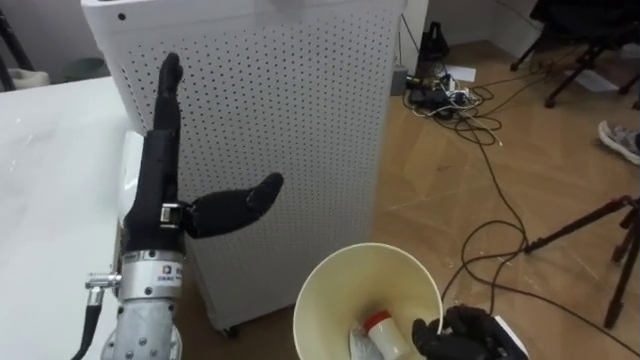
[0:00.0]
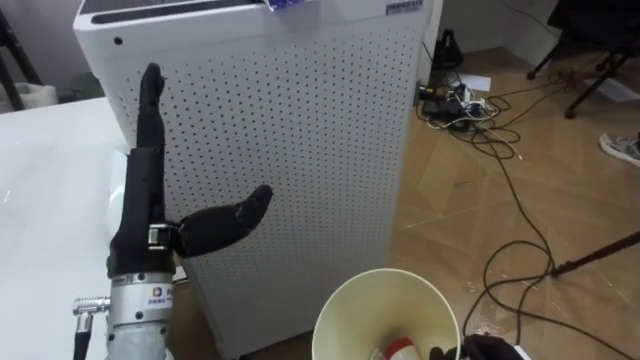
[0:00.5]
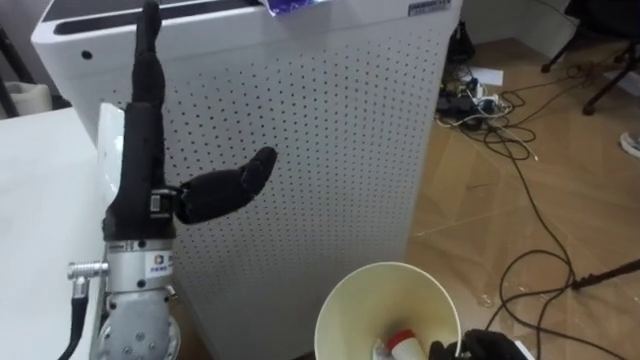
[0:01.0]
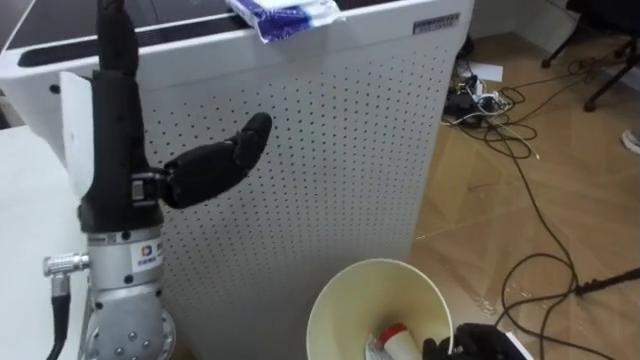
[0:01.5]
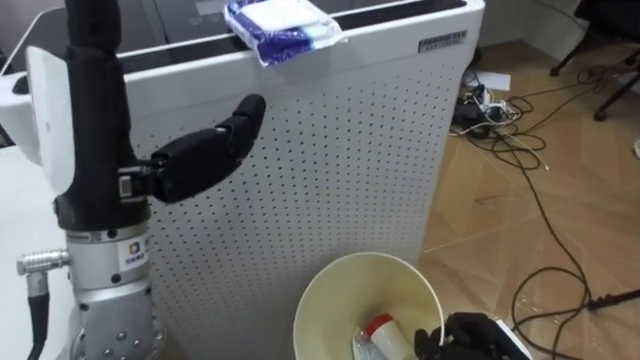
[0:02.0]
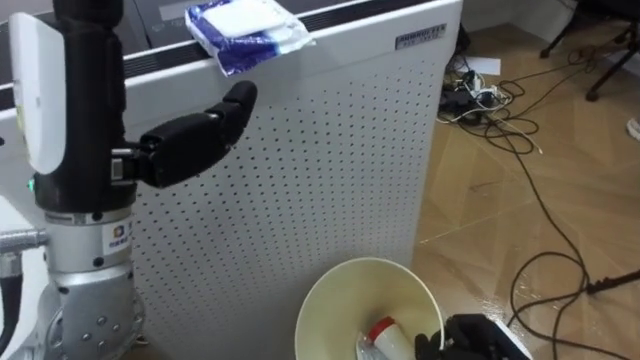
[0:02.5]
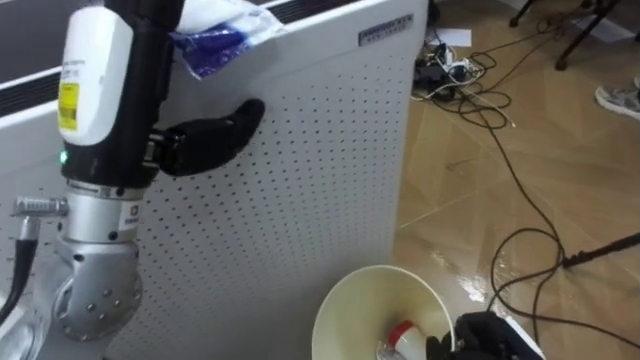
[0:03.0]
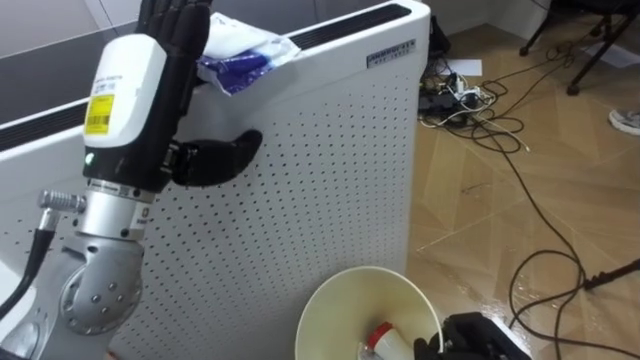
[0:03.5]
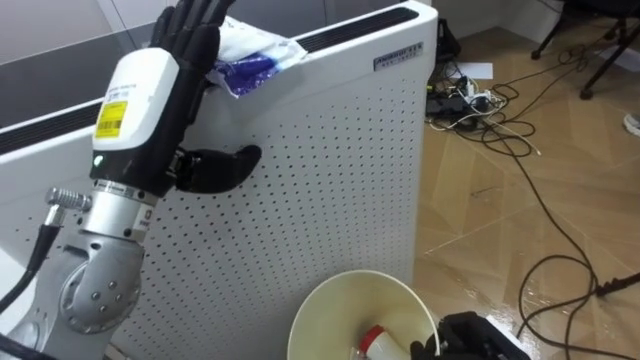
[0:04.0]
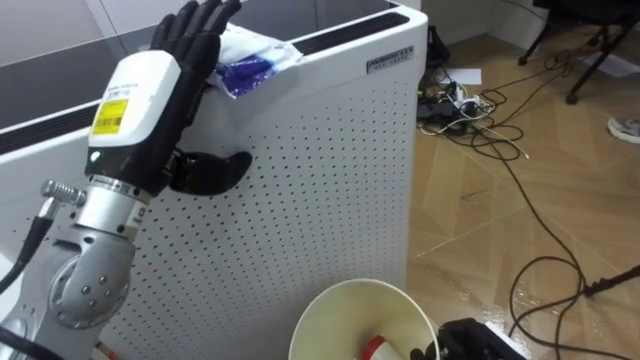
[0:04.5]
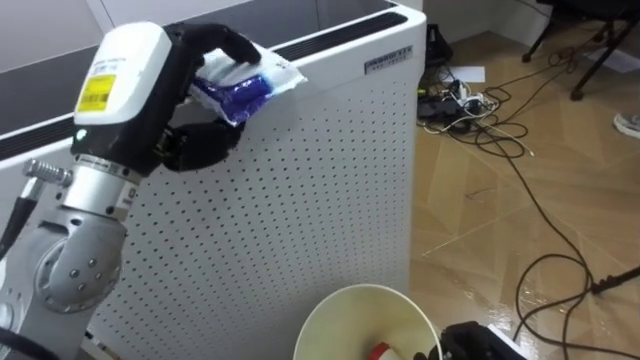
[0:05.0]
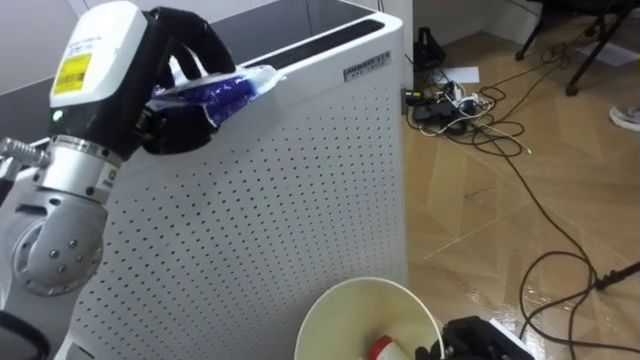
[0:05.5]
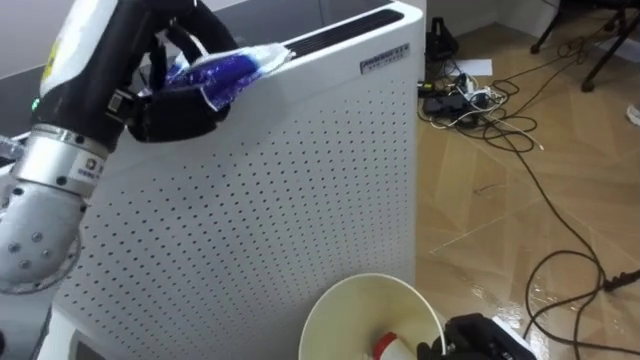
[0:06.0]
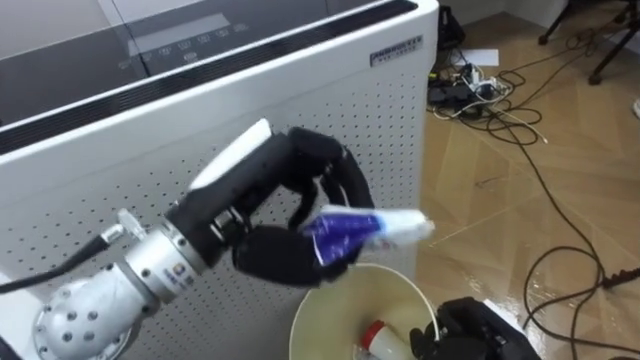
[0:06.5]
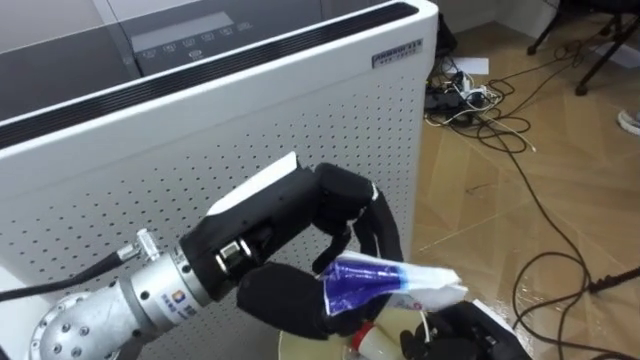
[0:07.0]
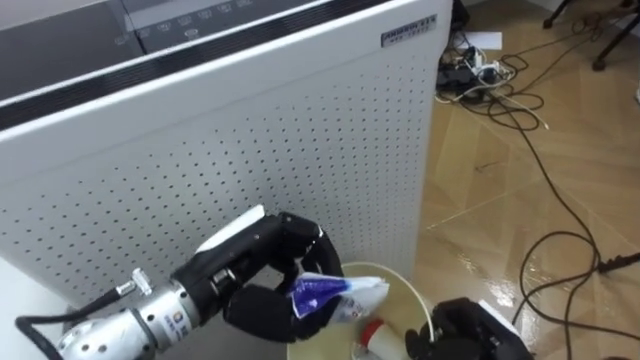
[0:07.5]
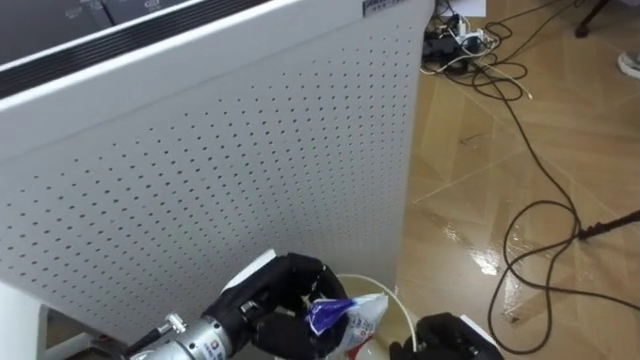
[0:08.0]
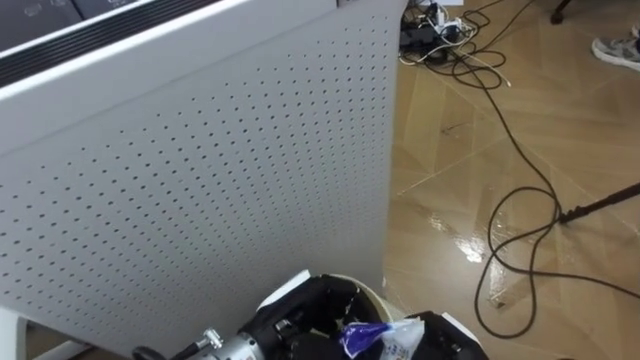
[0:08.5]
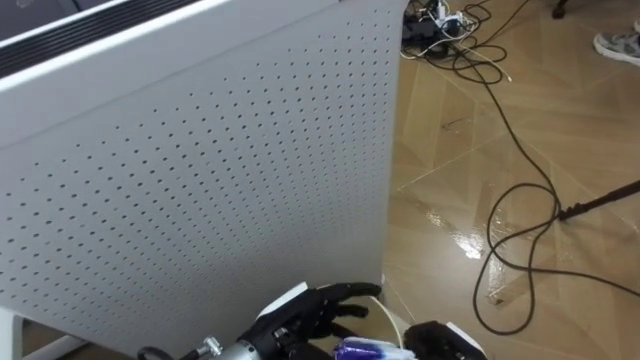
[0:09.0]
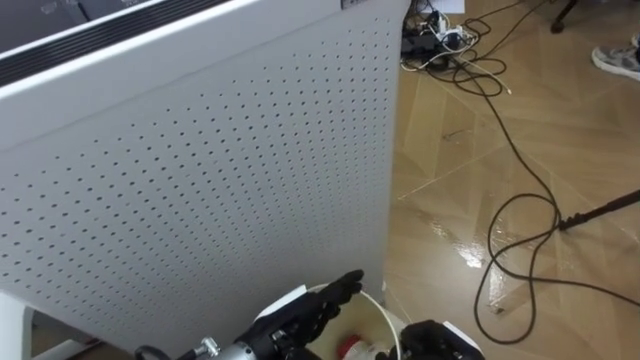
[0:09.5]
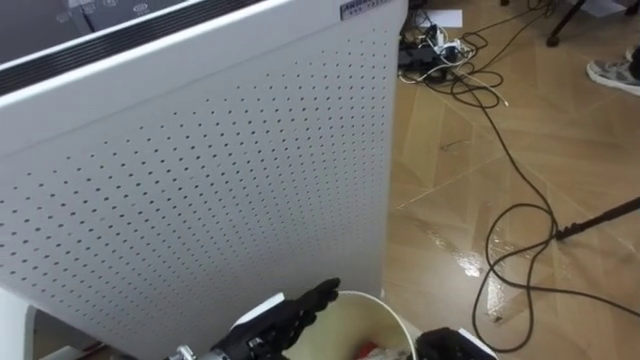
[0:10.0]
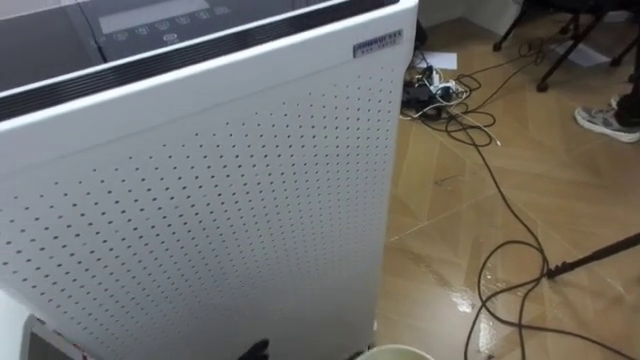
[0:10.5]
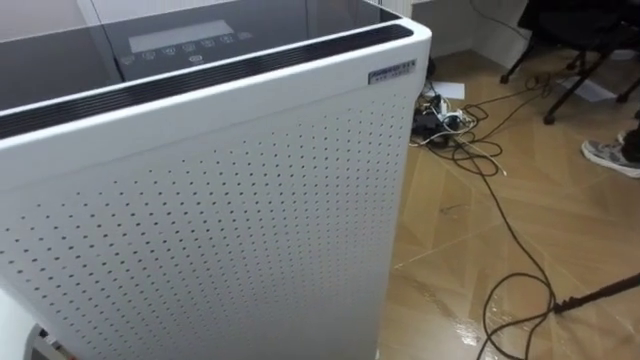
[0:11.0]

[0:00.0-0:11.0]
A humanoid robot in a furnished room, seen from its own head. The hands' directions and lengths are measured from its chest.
Task of the whole recording: Pick up the light blue package, the candy box, and the dark blue package separately, and put them into the trash can held in your right hand.
0:00.0 to 0:02.0: The left hand moves upward and backward, approximately 10 cm.
0:02.0 to 0:03.5: The left hand heads forward, covering approximately 5 cm.
0:03.5 to 0:05.5: The left hand closes its fingers.
0:05.5 to 0:07.5: The left hand is displaced downward and to the right by about 20 cm.
0:07.5 to 0:09.0: The left hand heads downward and to the right, covering about 15 cm, and opens.

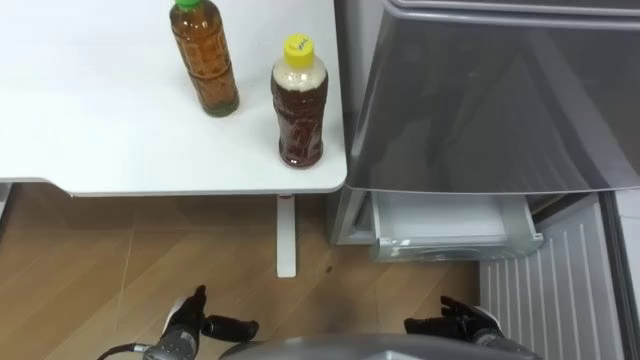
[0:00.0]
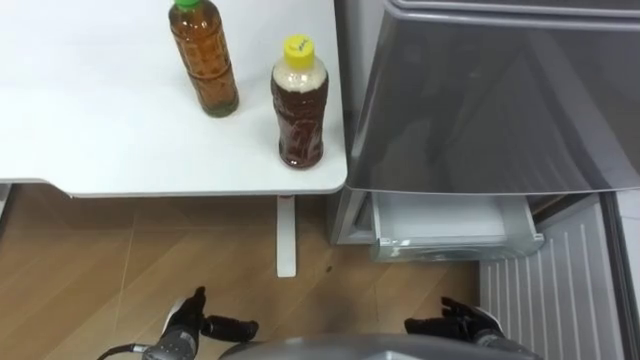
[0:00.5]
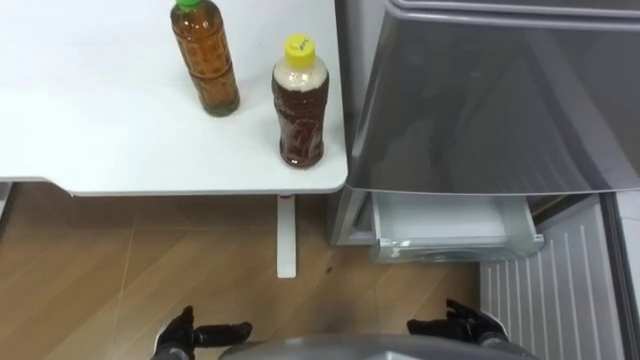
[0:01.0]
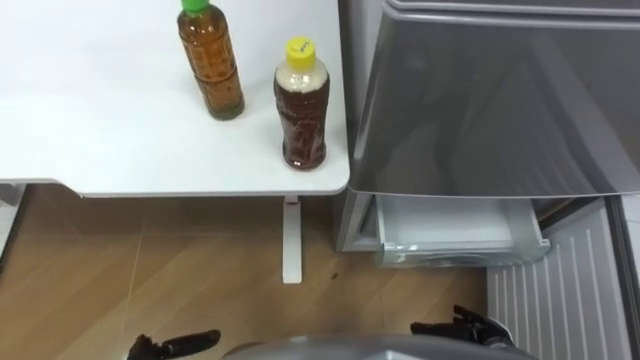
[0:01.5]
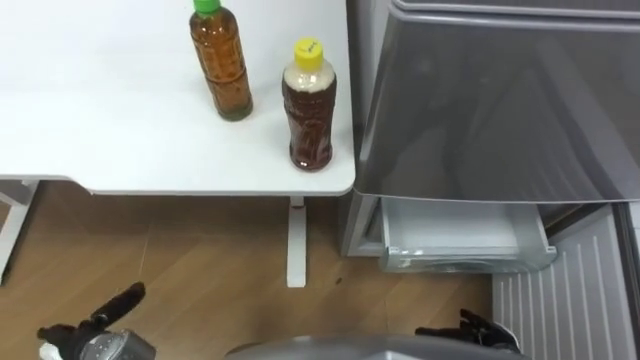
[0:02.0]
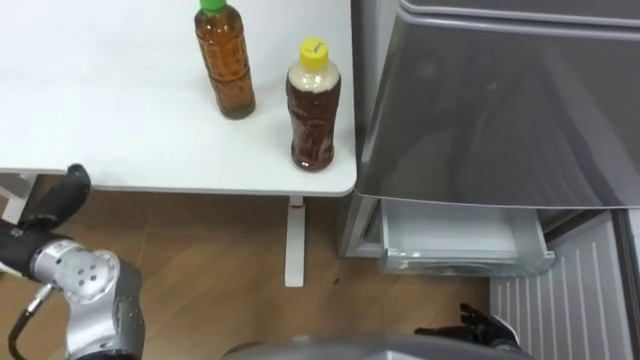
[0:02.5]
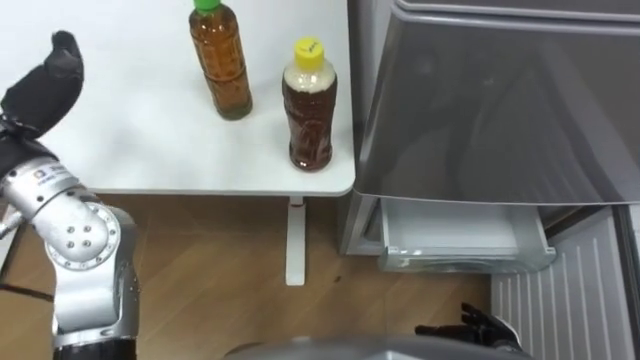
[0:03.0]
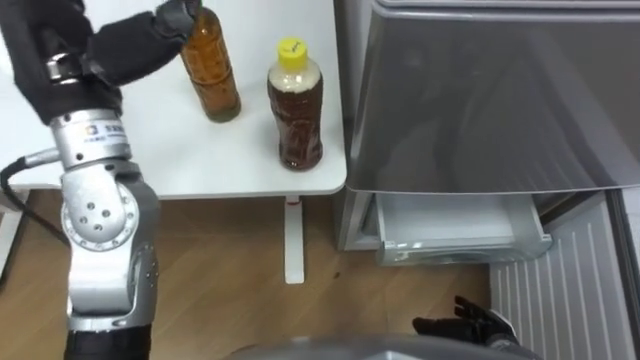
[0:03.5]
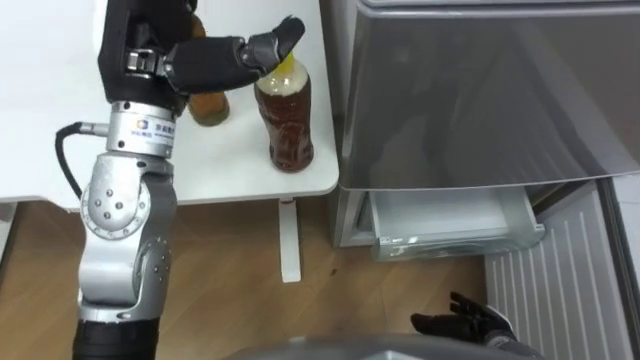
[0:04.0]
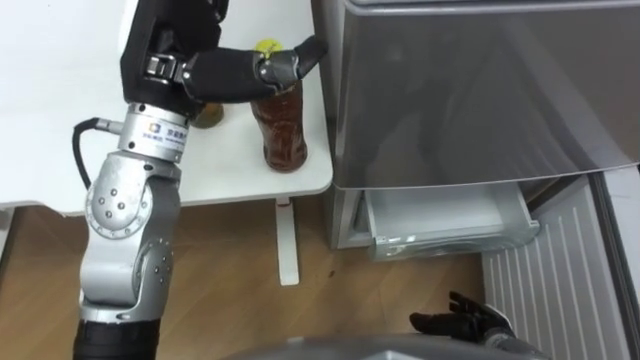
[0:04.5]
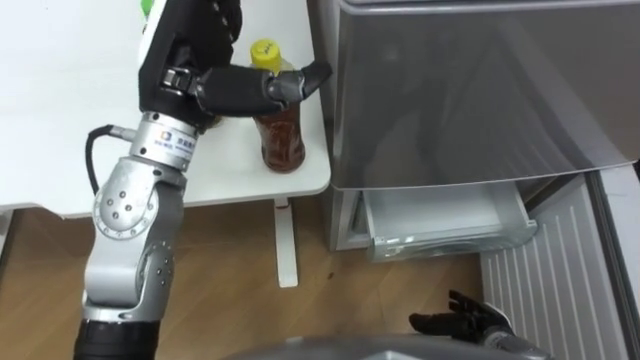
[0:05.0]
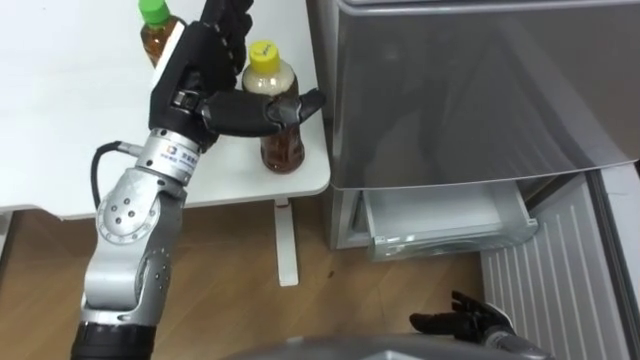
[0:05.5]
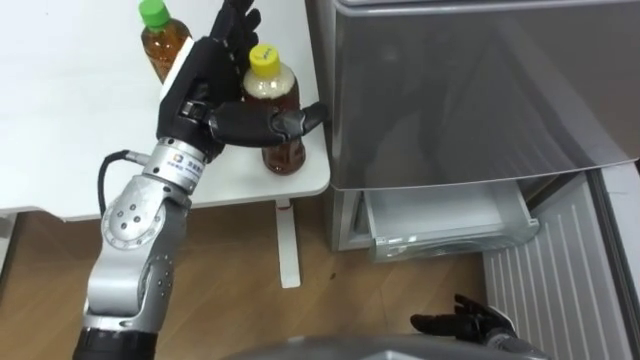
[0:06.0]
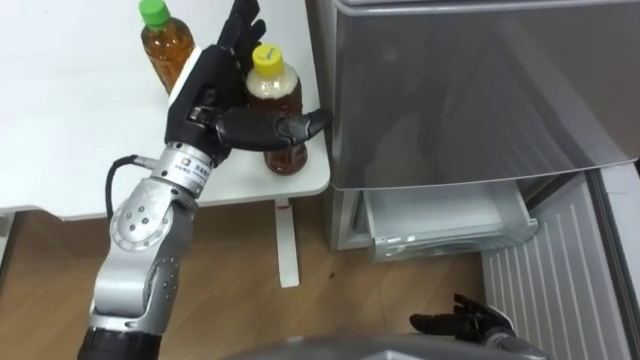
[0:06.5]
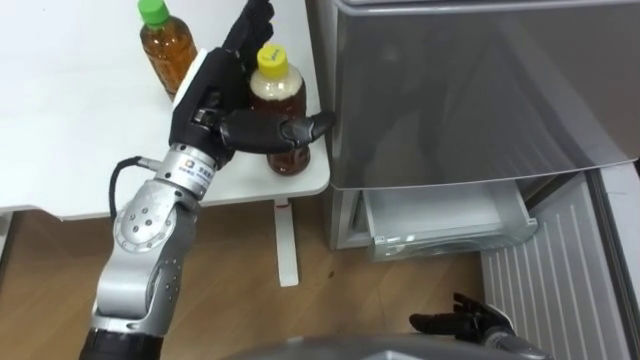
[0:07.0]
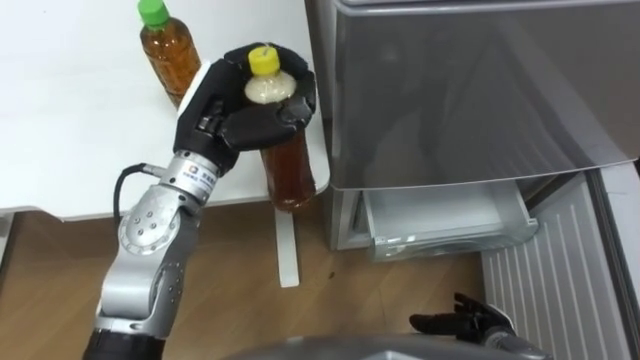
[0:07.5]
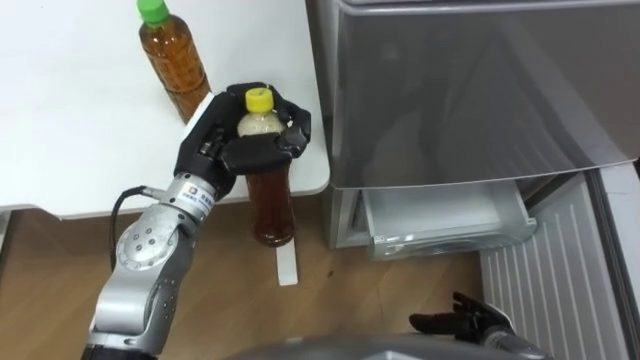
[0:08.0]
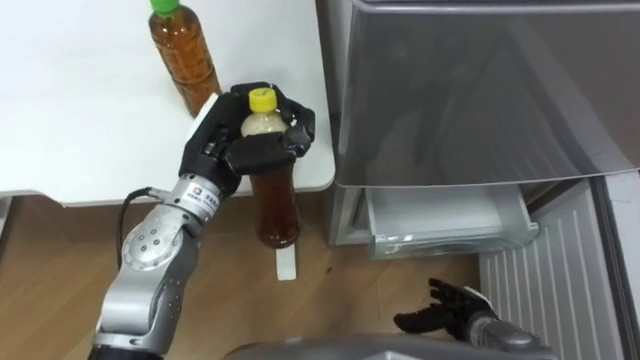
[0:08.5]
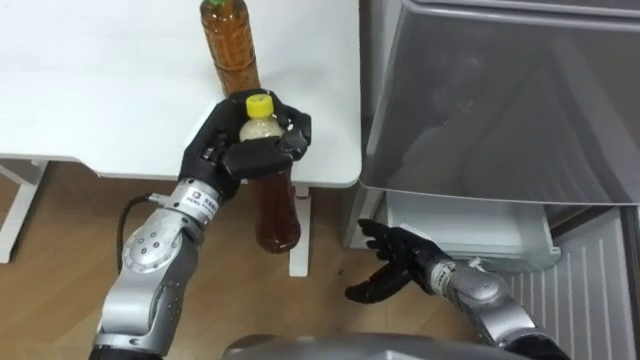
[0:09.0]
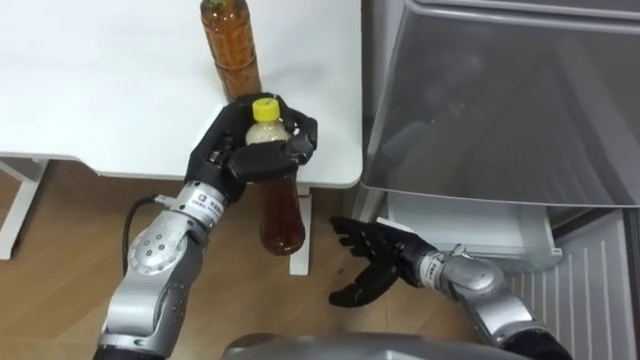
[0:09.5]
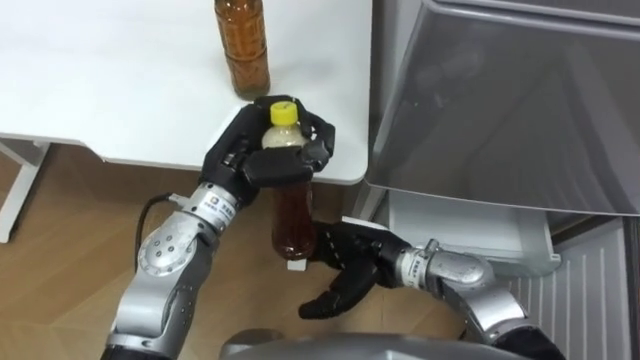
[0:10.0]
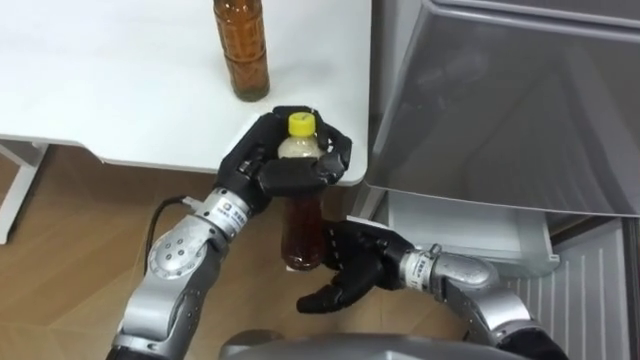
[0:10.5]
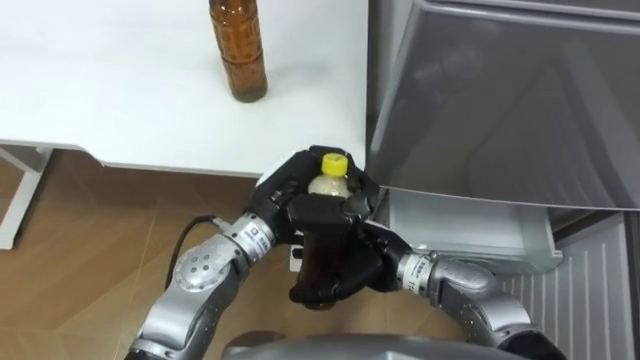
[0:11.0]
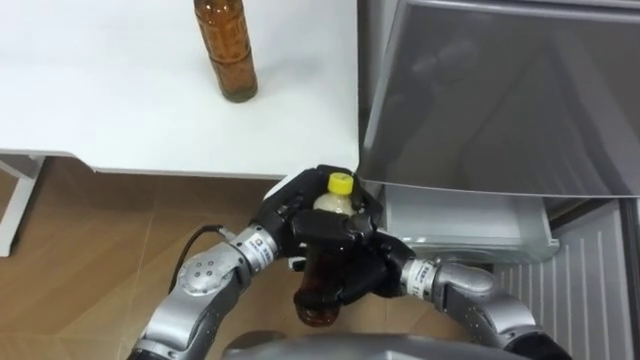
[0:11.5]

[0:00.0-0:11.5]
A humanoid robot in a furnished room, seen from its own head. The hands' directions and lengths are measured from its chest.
Task of the whole recording: Place the drink on the table on the bottom shelf of the refrigerator, then close the drawer and the refrigerator door.
0:04.0 to 0:06.0: The left hand is displaced downward by roughly 10 cm.
0:06.0 to 0:07.5: The left hand closes its fingers.
0:07.5 to 0:09.5: The right hand is displaced to the left, forward and upward by roughly 20 cm.
0:09.5 to 0:11.5: The left hand moves to the right and downward, about 10 cm; the right hand moves roughly 5 cm.
